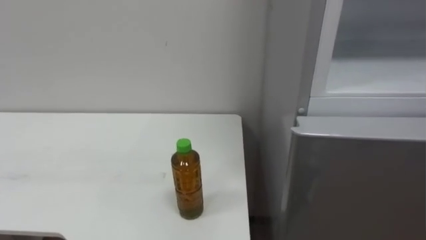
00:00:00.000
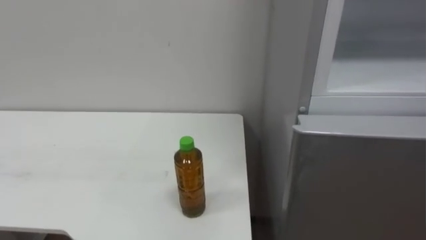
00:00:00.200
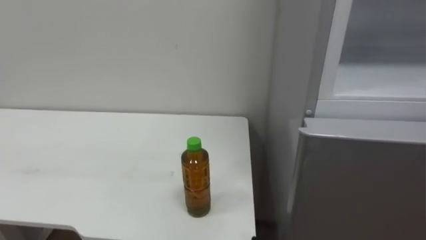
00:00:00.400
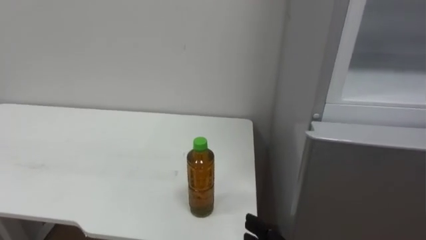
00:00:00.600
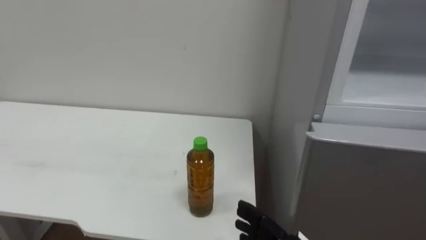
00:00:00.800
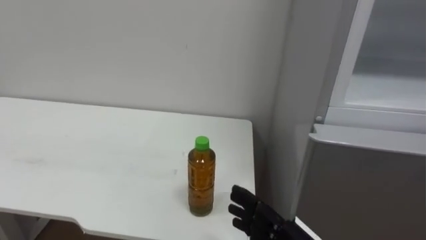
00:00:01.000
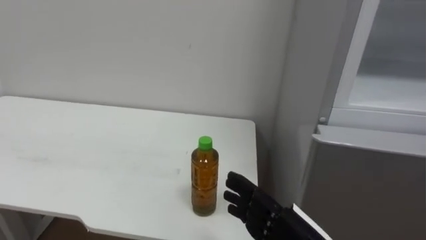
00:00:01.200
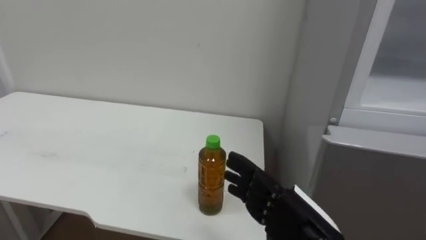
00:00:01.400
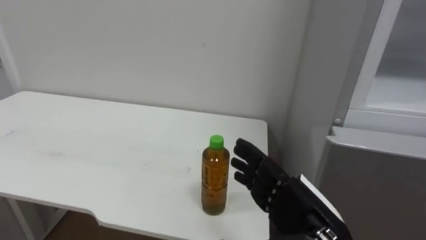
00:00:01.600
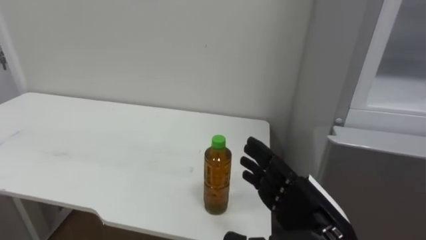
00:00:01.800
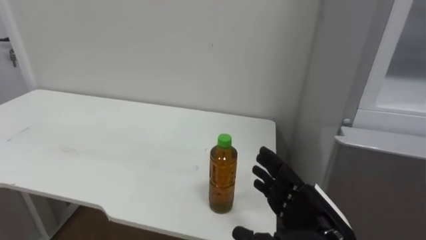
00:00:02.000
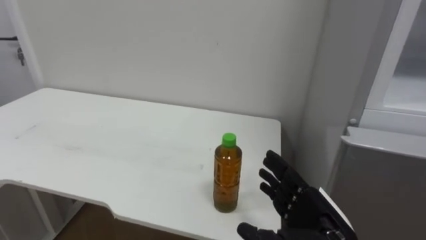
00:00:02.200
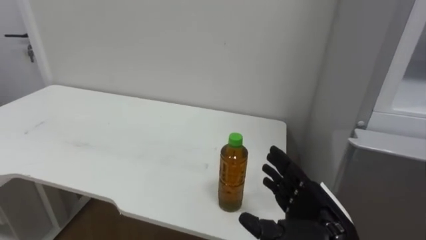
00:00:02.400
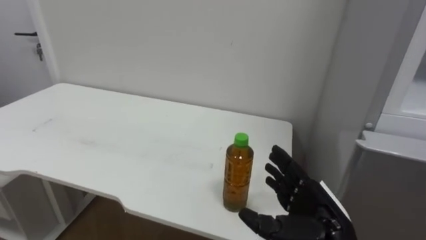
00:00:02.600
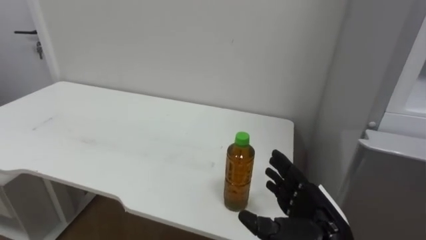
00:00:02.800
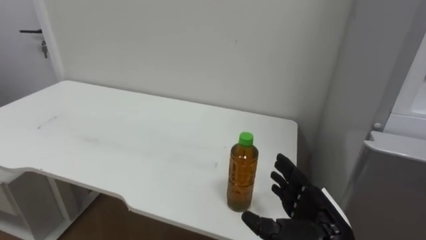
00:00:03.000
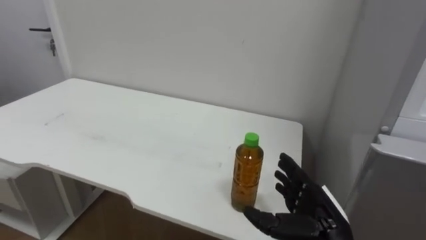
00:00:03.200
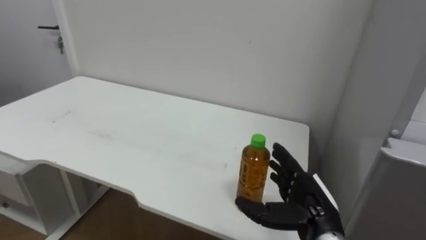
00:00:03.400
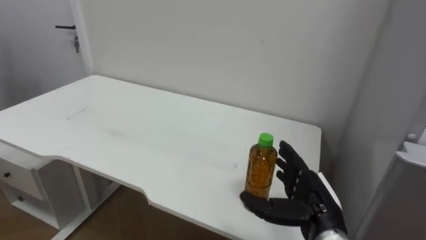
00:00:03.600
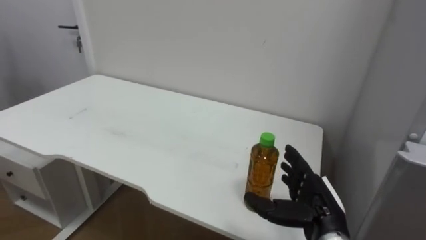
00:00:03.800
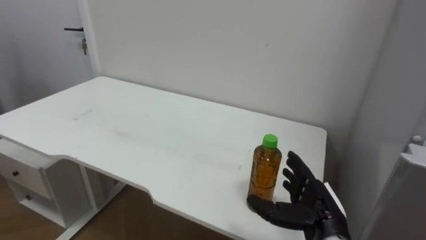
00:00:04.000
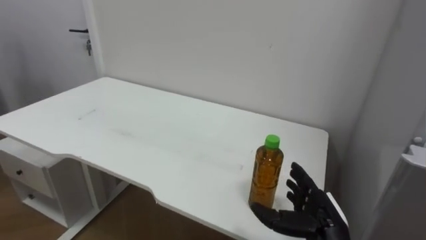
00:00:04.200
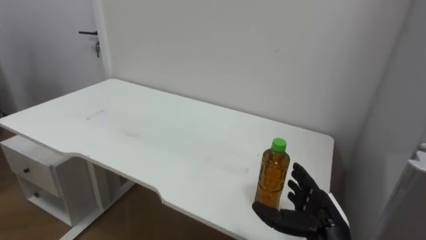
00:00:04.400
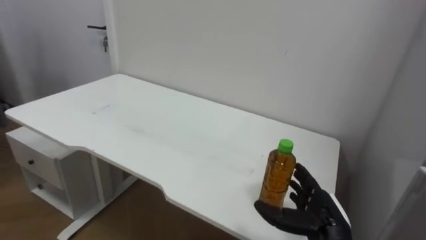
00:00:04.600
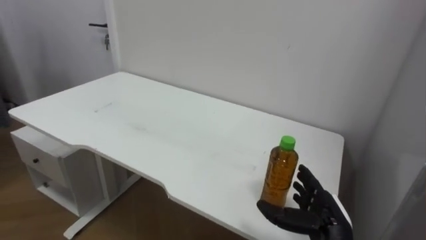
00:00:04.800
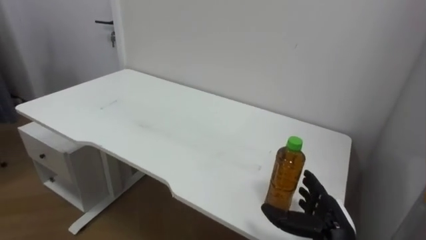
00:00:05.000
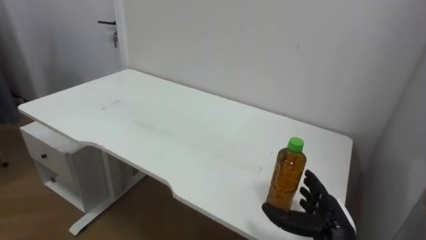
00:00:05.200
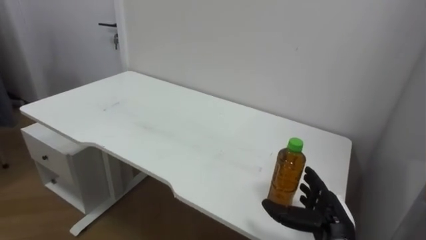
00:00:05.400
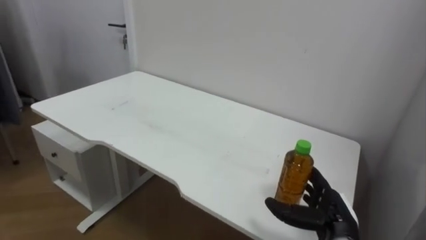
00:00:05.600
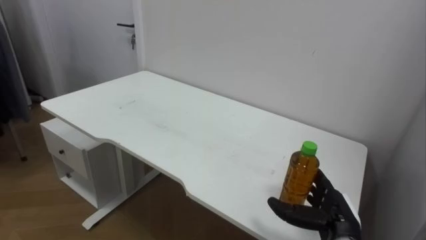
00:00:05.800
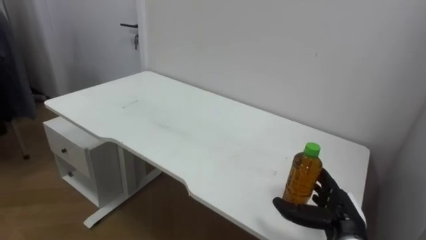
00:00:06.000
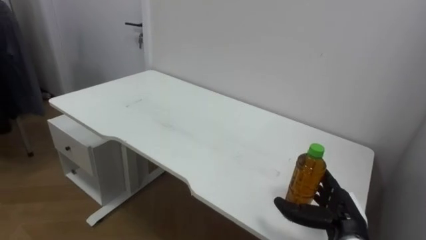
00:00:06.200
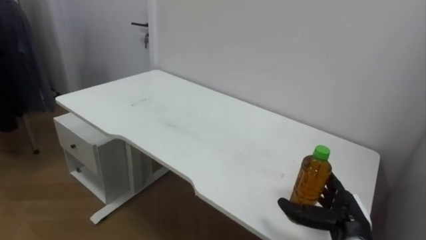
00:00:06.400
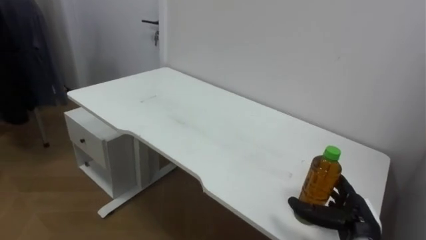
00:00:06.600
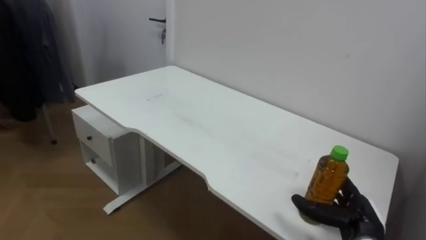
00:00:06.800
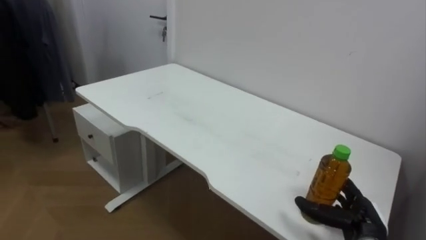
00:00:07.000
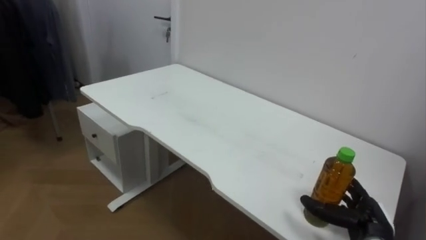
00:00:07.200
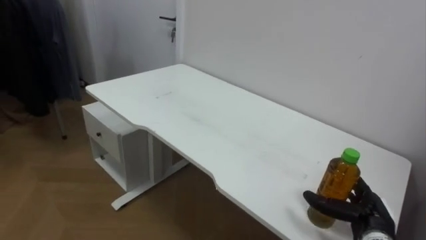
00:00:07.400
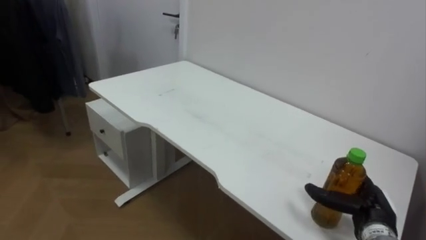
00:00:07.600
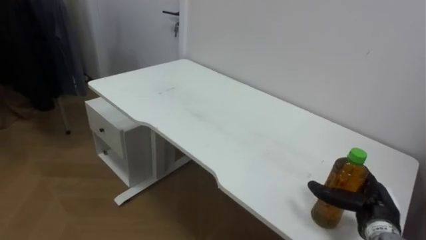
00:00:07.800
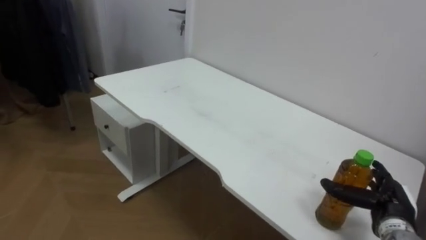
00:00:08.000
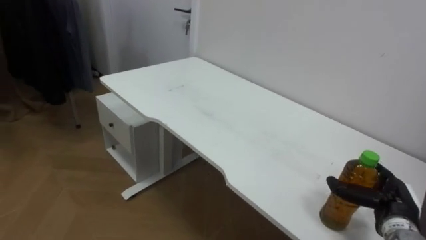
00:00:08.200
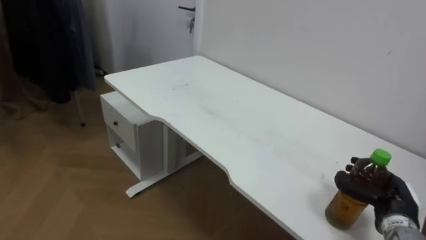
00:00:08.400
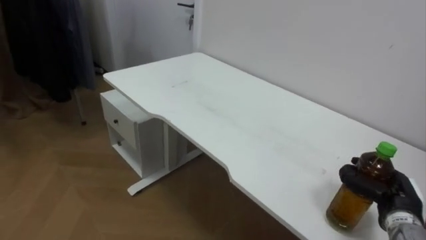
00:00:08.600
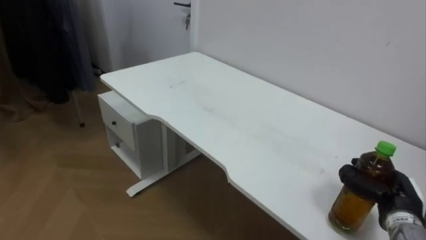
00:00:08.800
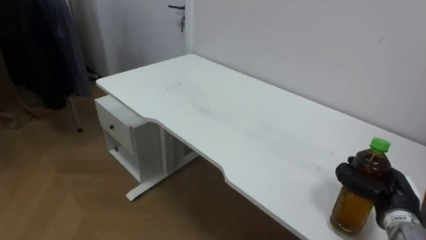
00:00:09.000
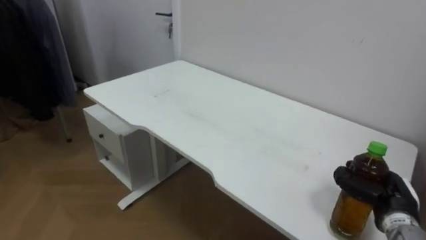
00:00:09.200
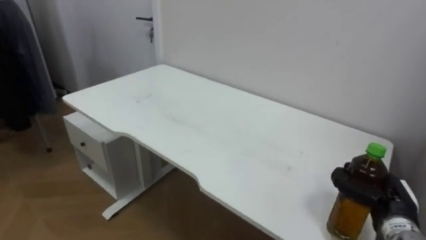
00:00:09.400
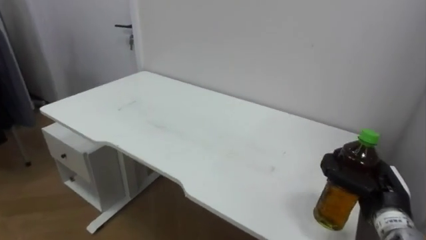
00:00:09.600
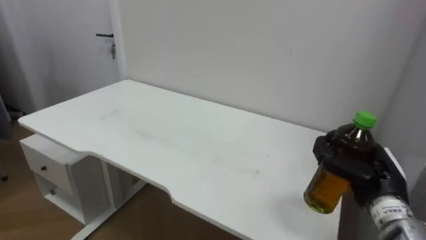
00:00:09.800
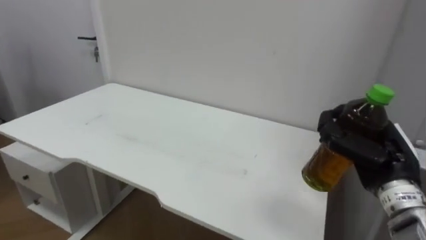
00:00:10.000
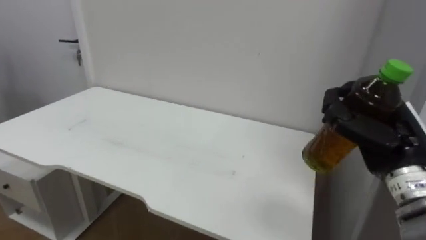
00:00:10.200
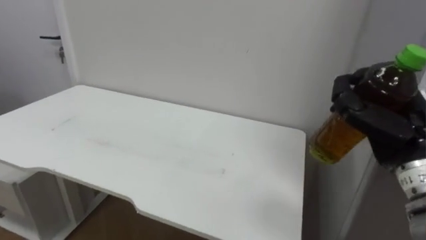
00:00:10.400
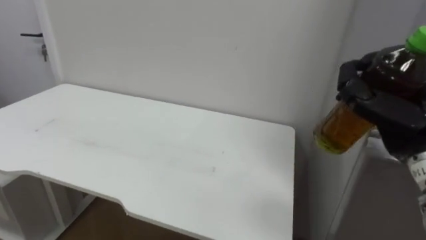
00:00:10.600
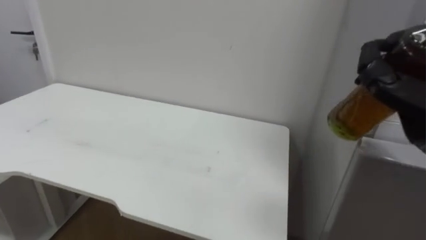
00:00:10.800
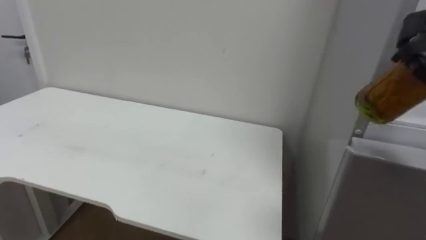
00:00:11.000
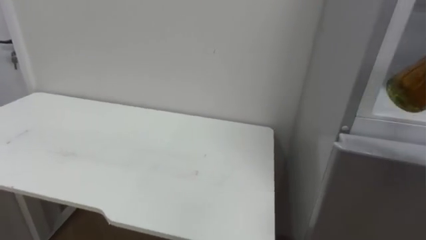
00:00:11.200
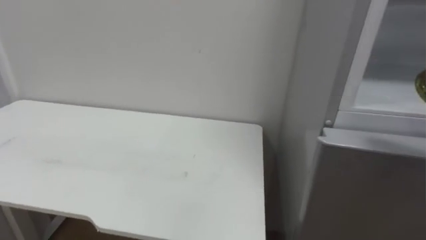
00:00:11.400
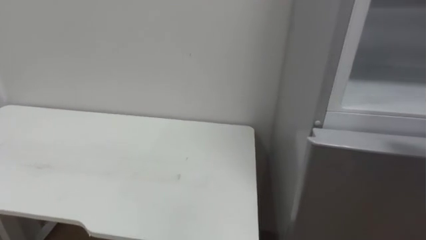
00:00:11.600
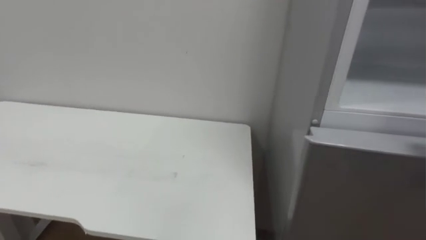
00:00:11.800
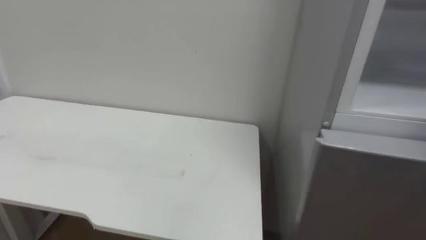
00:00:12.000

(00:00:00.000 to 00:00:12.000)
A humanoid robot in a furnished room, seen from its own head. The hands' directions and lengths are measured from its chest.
Task of the whole recording: Open the upper refrigerator door, put the drink from the table into the refrigerator, and then close the refrigerator door.
00:00:01.600 - 00:00:03.000: The right hand travels downward by approximately 5 cm.
00:00:03.000 - 00:00:04.400: The right hand changes place by approximately 5 cm.
00:00:06.000 - 00:00:07.600: The right hand travels to the right by approximately 5 cm.
00:00:07.600 - 00:00:09.000: The right hand closes its fingers.
00:00:09.000 - 00:00:10.400: The right hand heads upward, covering about 20 cm.

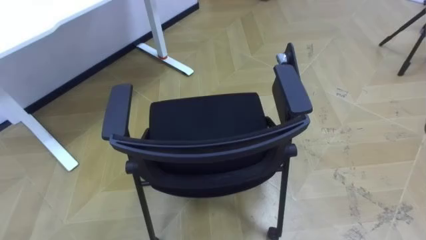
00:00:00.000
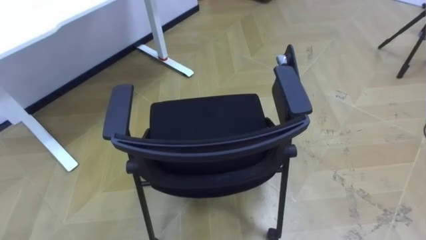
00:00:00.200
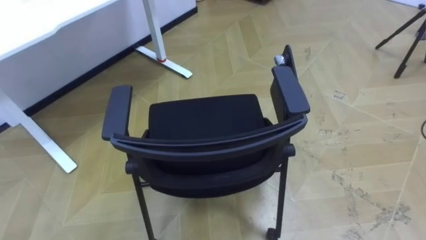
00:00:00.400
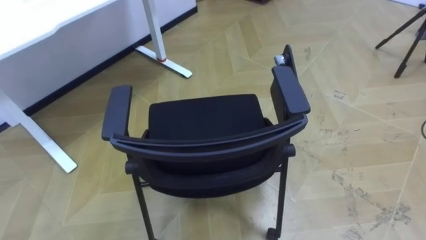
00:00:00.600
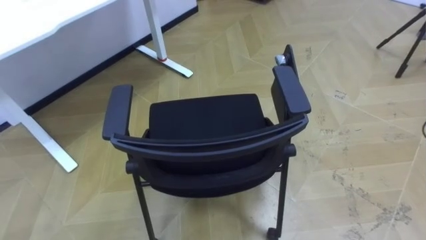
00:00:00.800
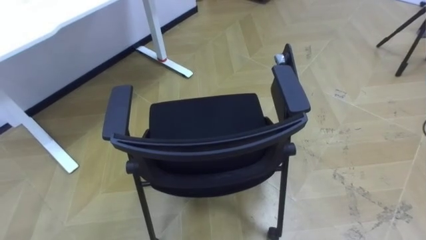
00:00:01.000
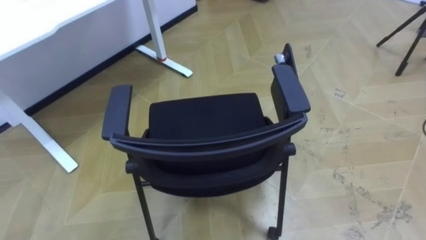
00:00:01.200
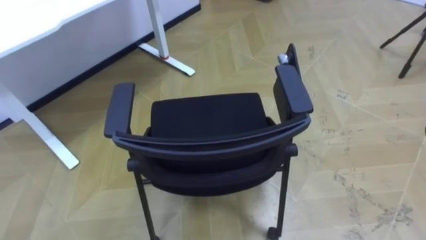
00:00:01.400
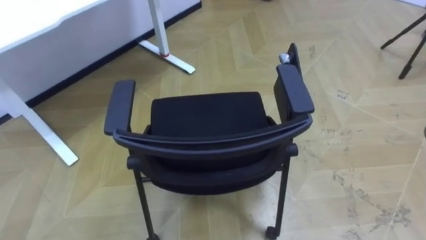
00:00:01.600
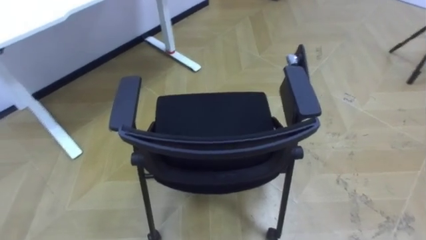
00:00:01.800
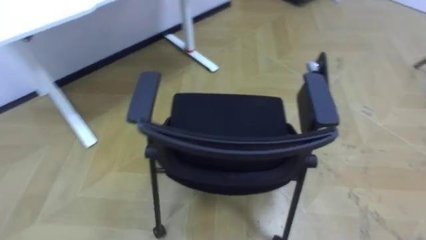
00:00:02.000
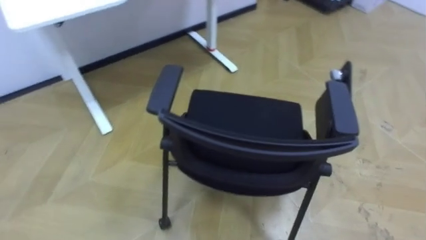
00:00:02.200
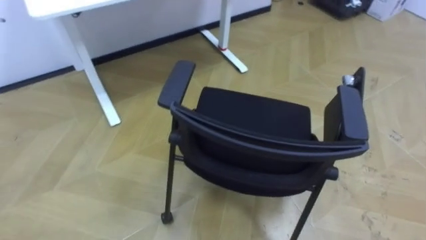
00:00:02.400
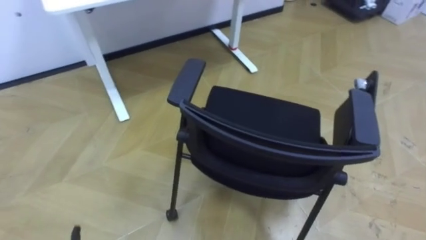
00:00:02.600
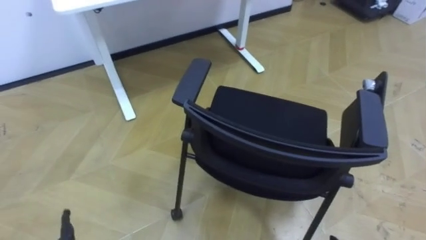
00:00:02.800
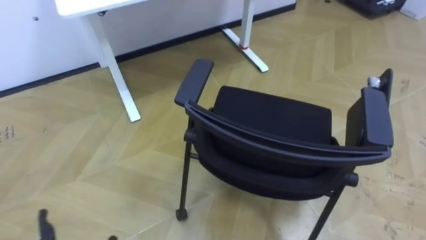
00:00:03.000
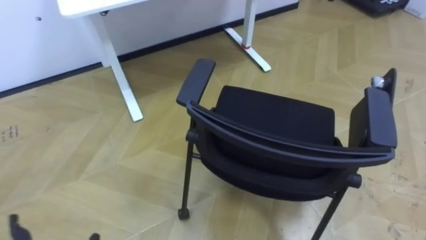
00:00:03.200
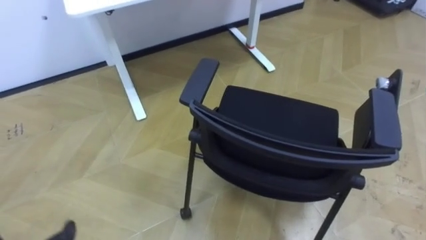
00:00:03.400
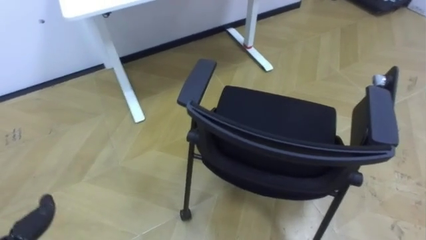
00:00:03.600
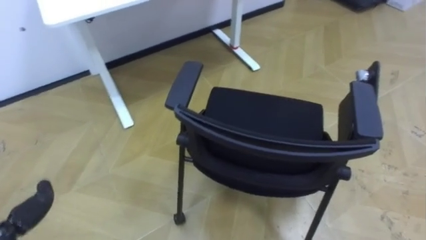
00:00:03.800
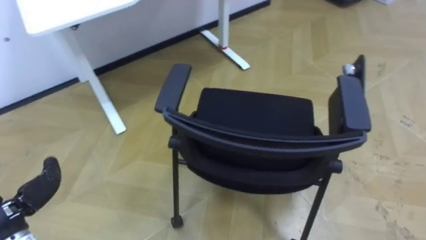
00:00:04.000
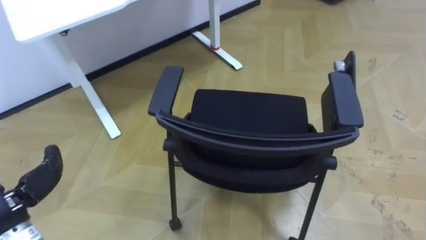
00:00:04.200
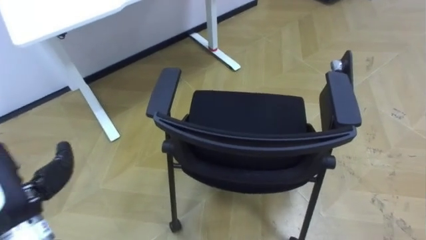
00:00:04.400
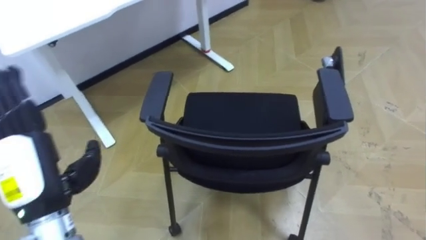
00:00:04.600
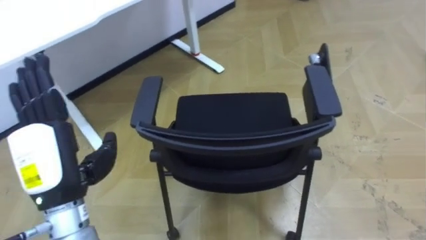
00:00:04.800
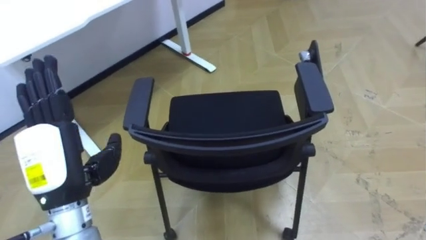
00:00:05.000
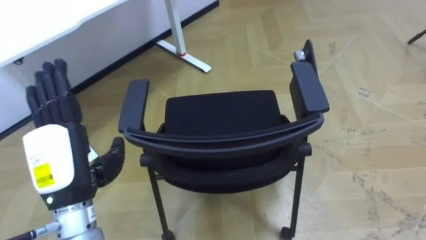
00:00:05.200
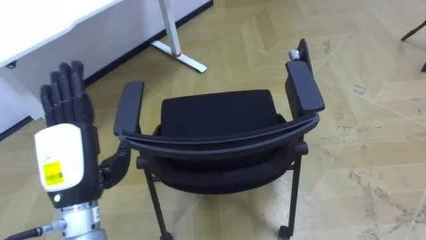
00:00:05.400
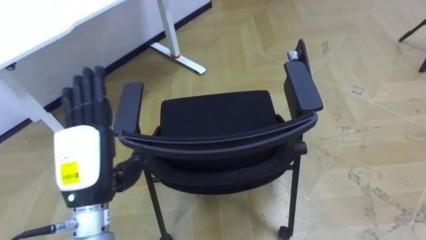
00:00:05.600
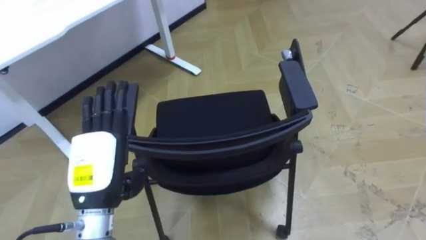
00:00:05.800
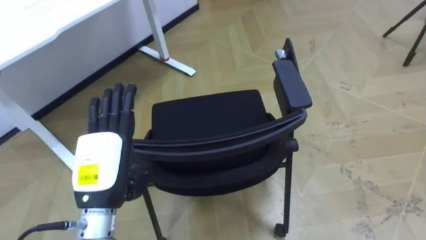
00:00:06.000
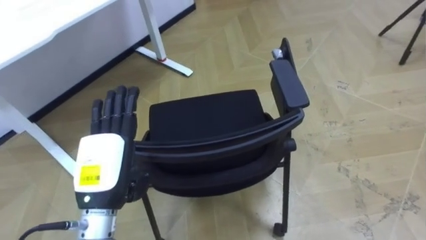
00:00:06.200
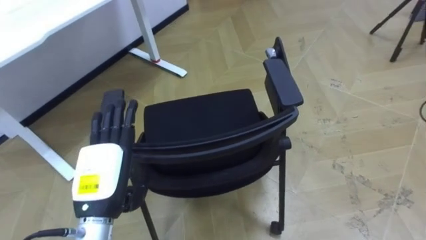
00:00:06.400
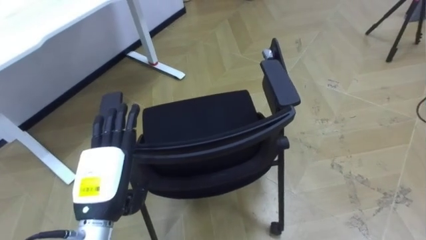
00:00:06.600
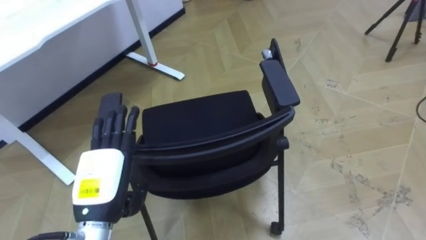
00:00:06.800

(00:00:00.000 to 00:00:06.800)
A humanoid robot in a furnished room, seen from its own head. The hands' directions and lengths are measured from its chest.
Task of the whole recording: Push the chair under the table.
00:00:05.400 - 00:00:06.800: The left hand shifts approximately 5 cm downward.
